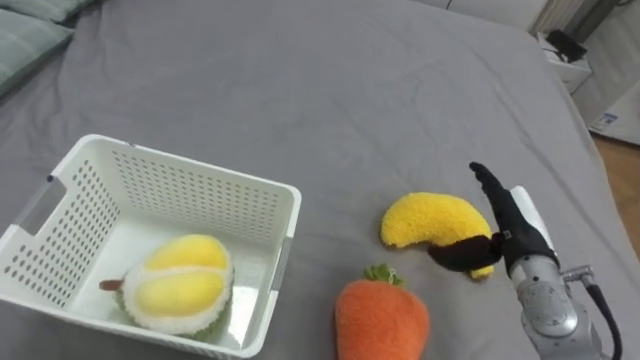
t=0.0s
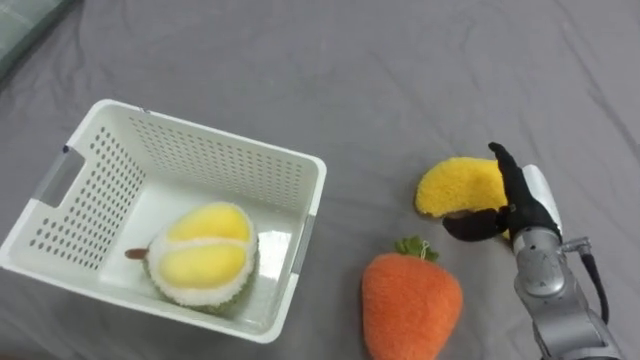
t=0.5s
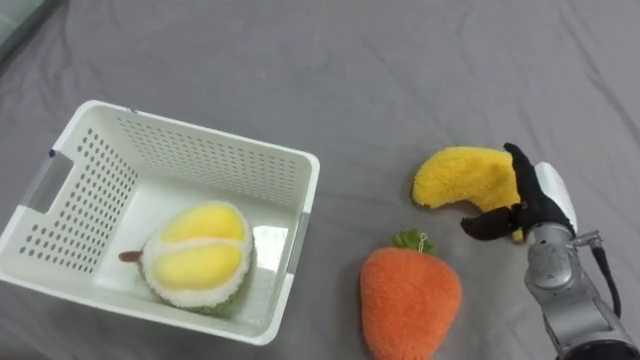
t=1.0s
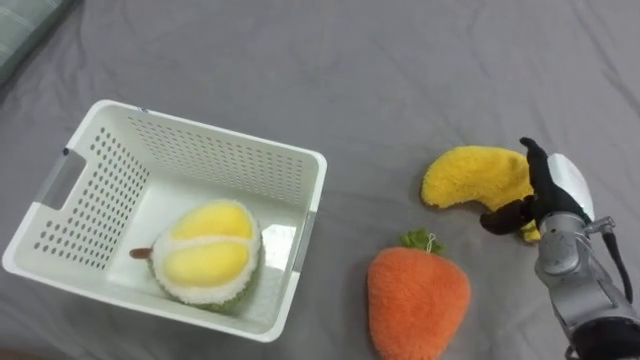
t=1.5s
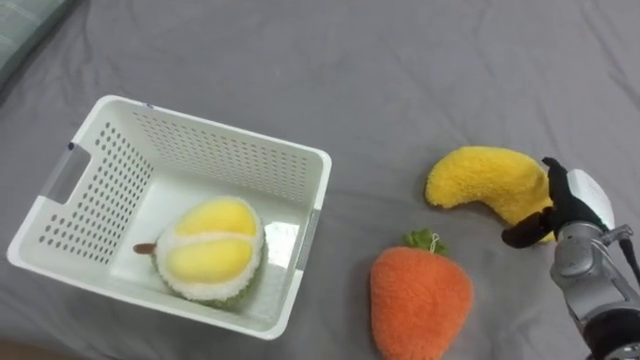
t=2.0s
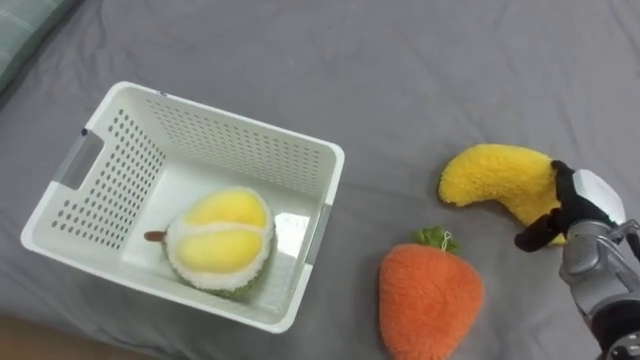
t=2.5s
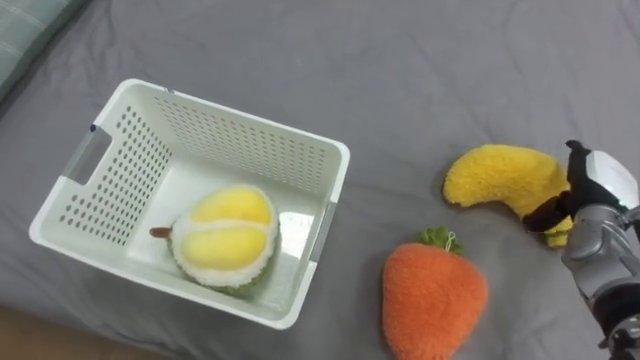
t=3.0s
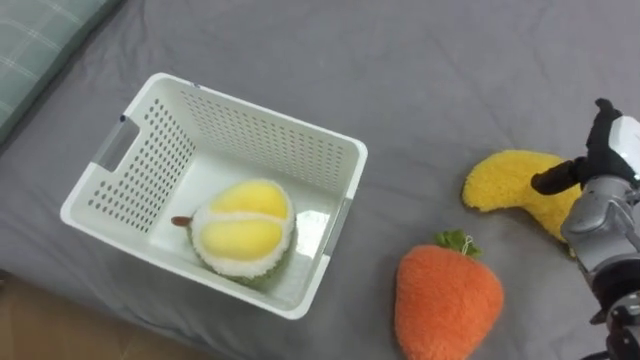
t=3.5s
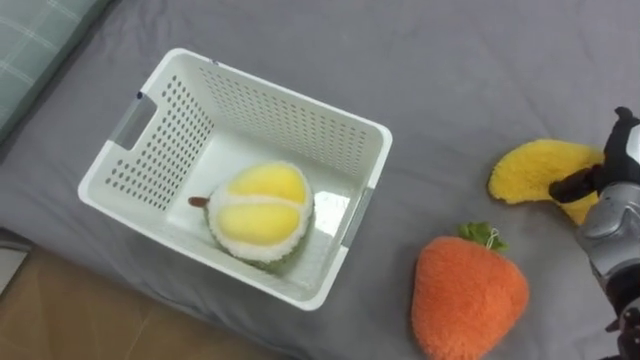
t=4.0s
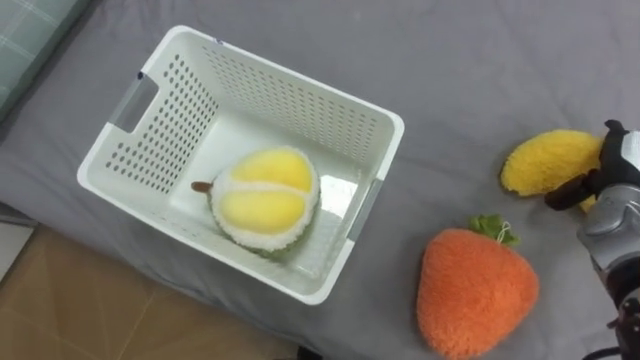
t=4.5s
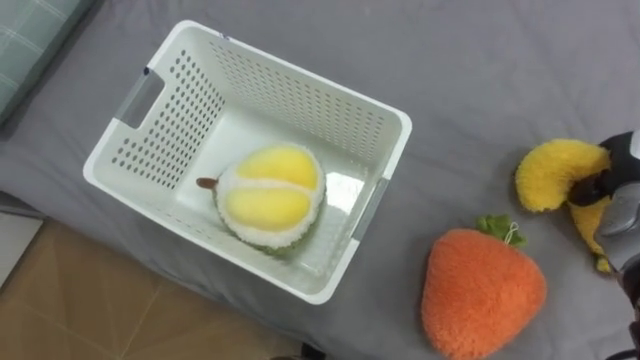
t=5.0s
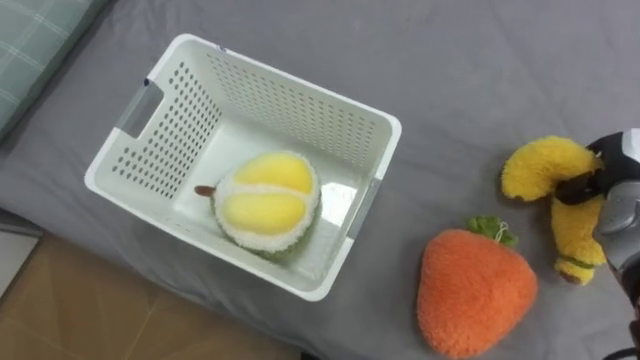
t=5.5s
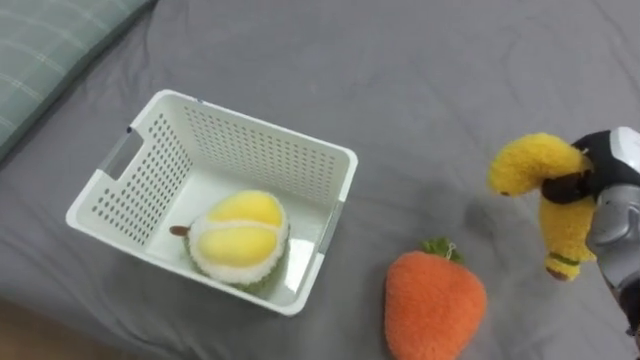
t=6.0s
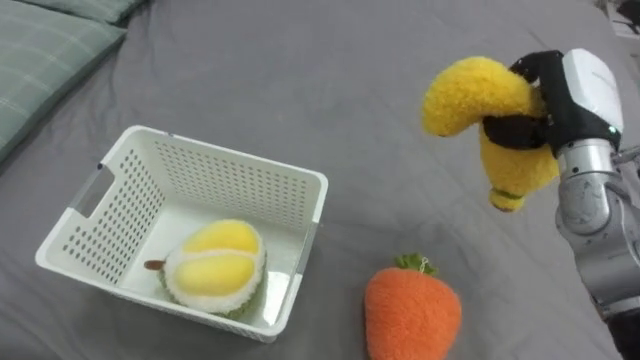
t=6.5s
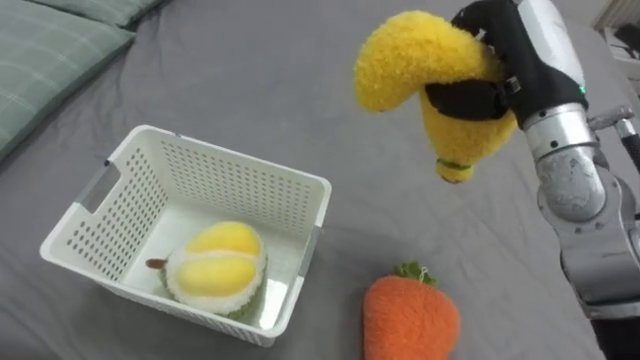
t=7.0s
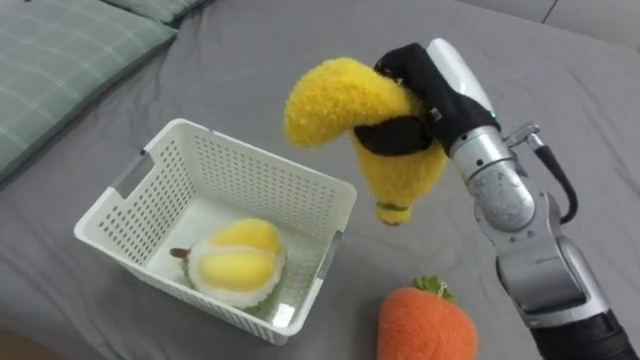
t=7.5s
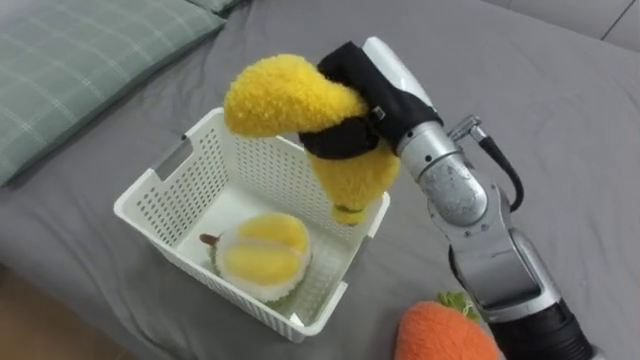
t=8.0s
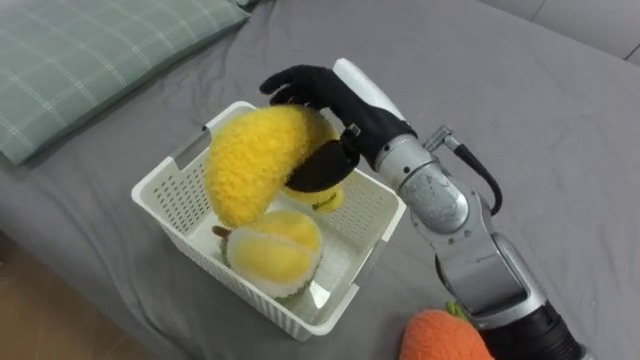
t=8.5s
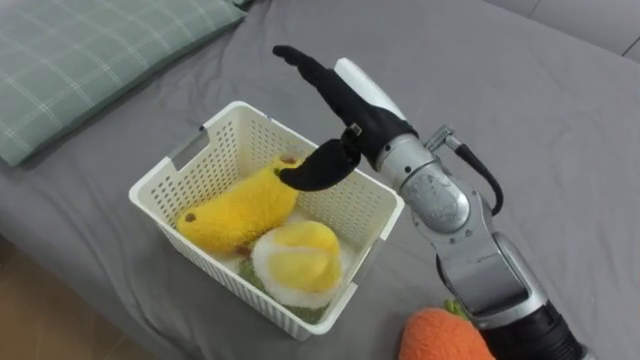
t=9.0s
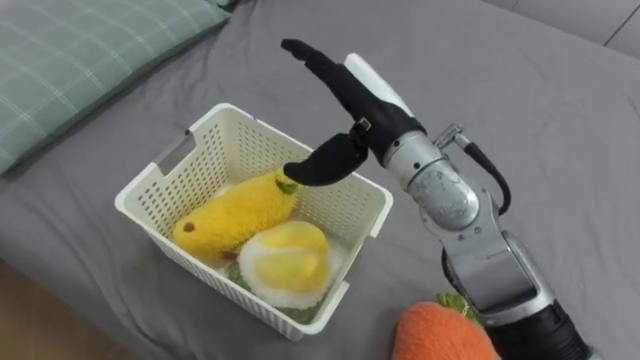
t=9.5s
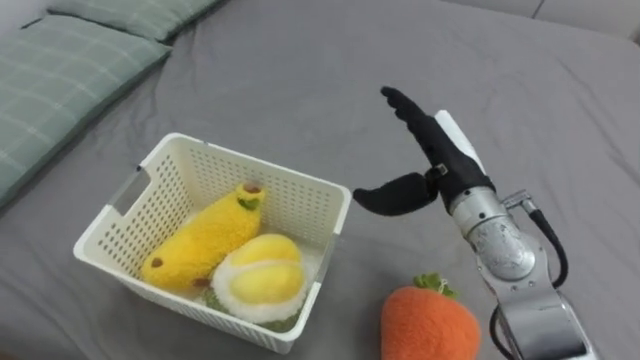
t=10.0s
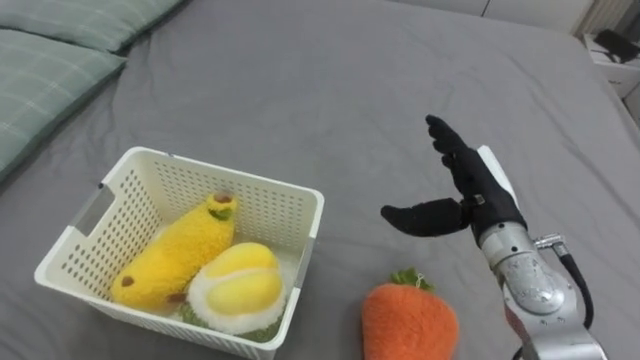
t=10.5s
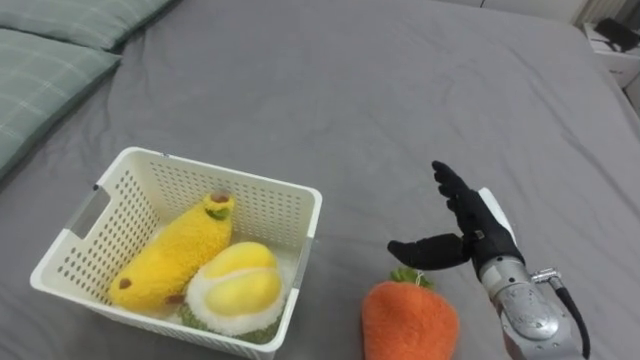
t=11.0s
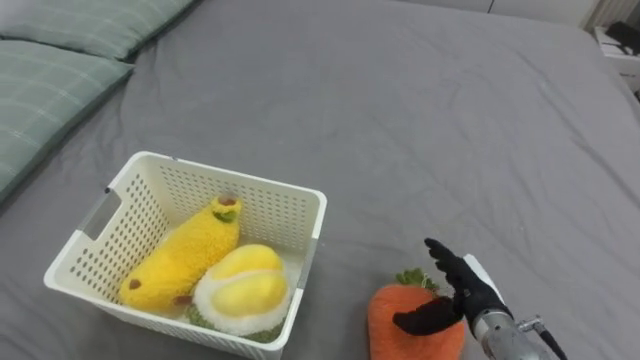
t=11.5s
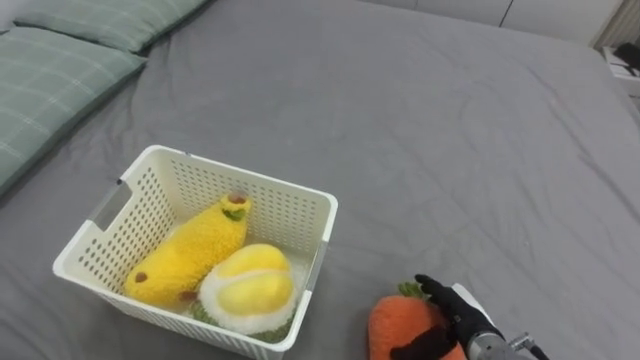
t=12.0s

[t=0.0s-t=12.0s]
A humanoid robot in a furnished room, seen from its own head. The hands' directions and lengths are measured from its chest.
Task of the whole recording: Put the toys on the bed into the basket on the left.
t=0.0s to t=2.0s: The right hand shifts roughly 10 cm to the right.
t=2.0s to t=4.0s: The right hand shifts approximately 5 cm upward.
t=4.0s to t=6.0s: The right hand closes its fingers.
t=6.0s to t=8.0s: The right hand heads to the left and upward, covering about 35 cm.
t=8.0s to t=10.0s: The right hand moves downward and to the right, roughly 10 cm, and opens up.
t=10.0s to t=12.0s: The right hand is displaced downward and backward by some 25 cm.

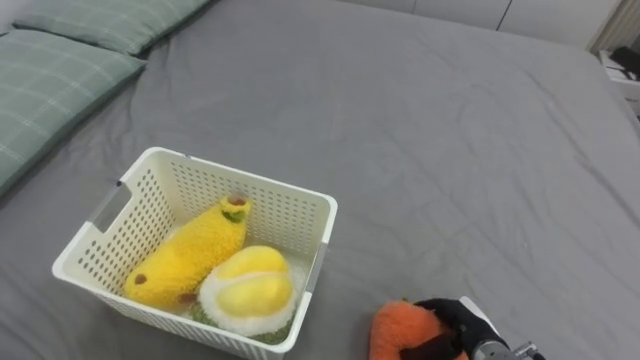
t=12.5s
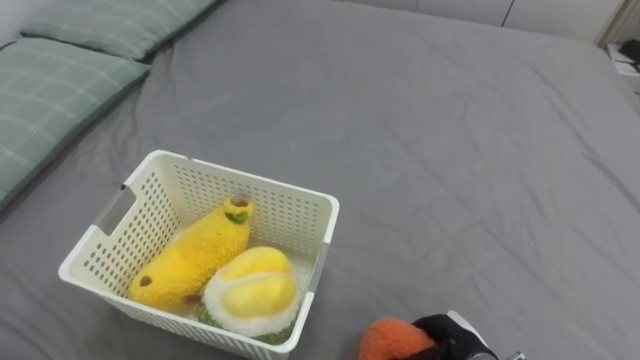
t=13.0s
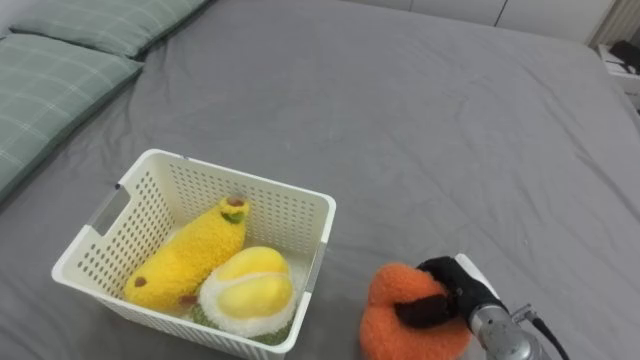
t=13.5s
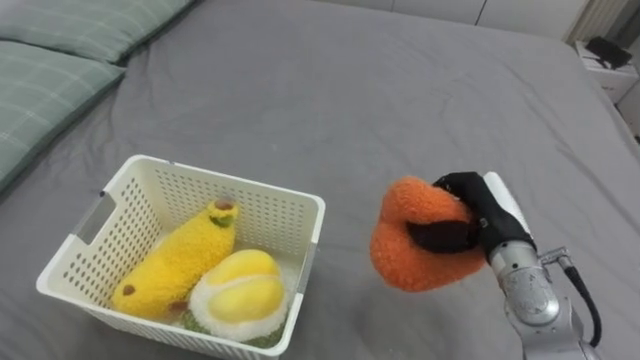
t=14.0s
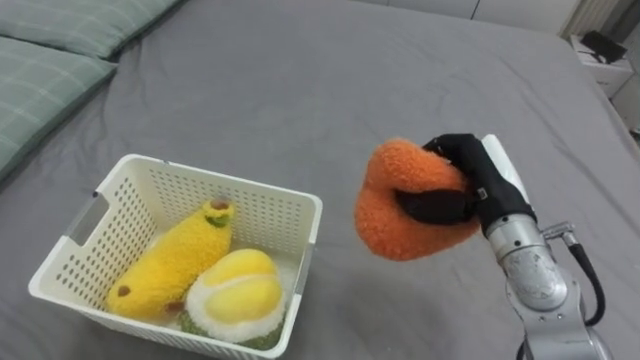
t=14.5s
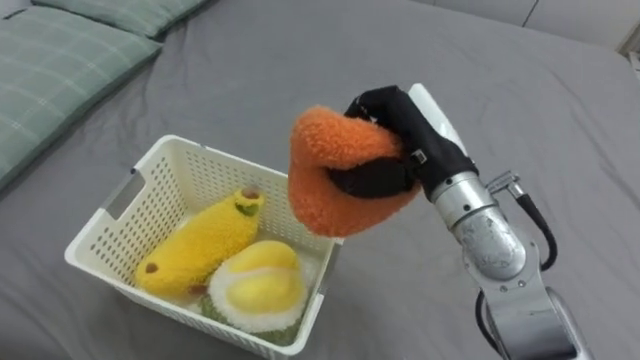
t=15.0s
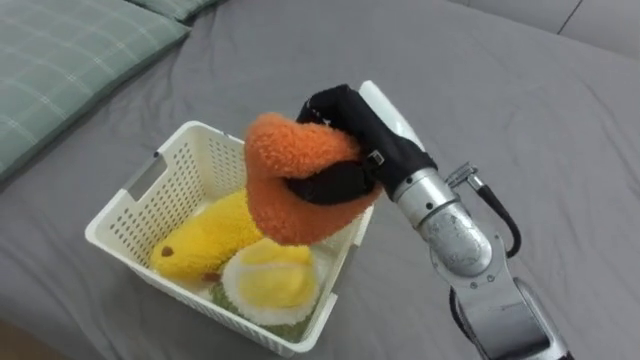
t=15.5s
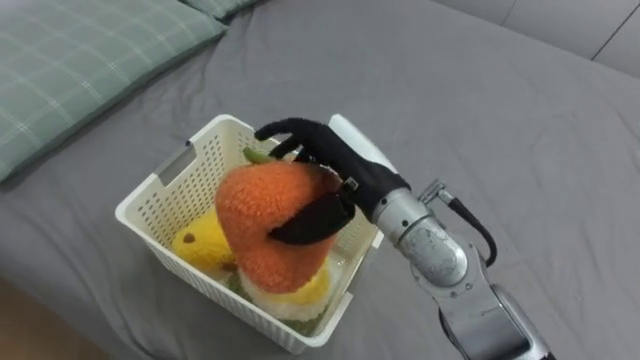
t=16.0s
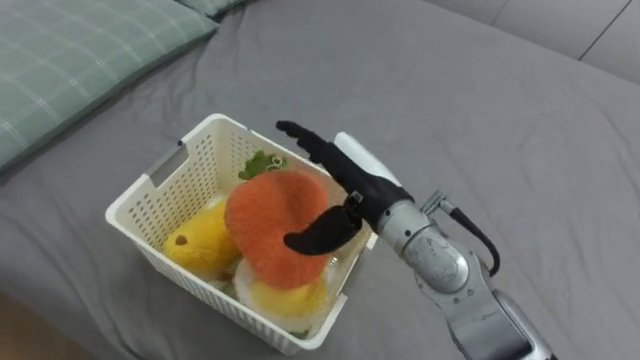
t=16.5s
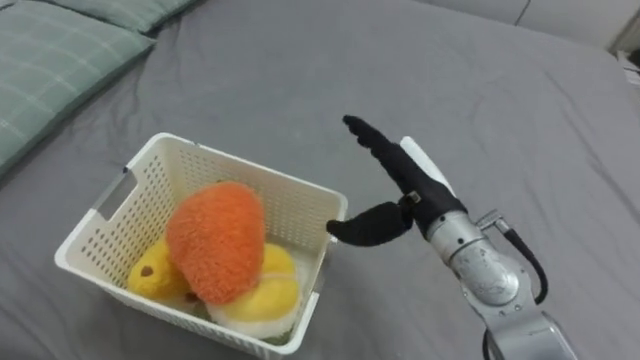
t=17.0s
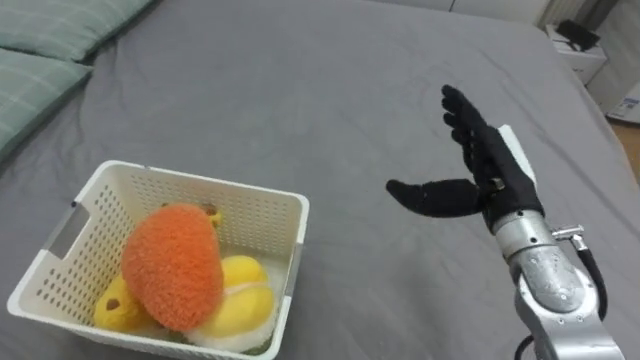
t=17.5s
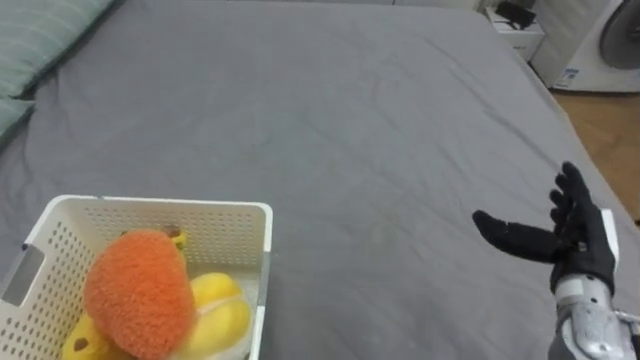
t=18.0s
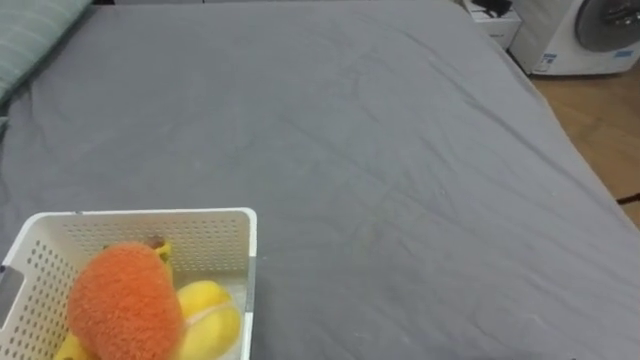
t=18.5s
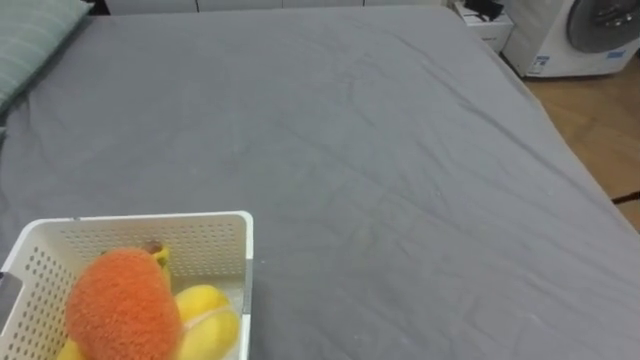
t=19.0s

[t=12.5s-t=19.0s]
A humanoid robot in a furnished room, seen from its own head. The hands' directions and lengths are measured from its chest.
Task of the whole recording: Put the toys on the bed into the basket on the left.
t=12.5s to t=14.5s: The right hand heads upward and forward, covering some 25 cm, and closes.
t=14.5s to t=17.0s: The right hand travels to the left by approximately 10 cm, and opens its fingers.

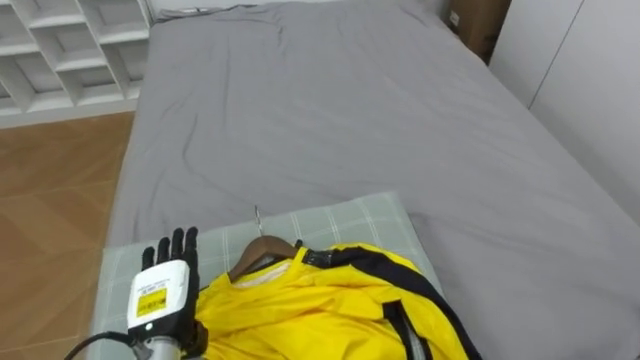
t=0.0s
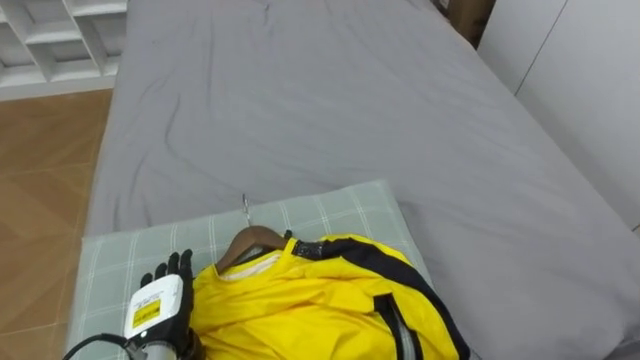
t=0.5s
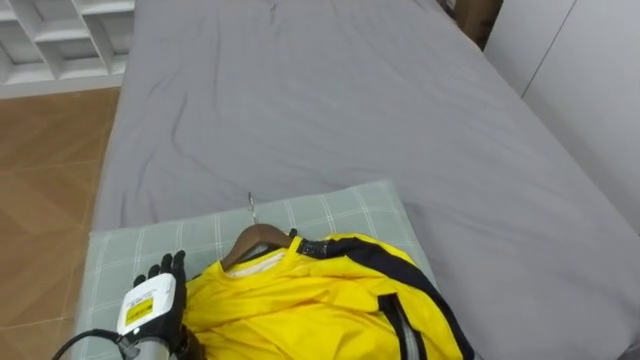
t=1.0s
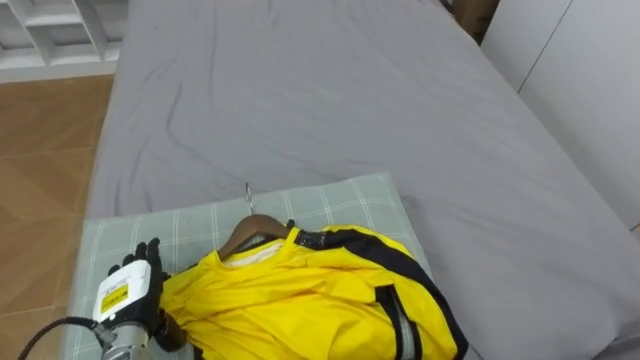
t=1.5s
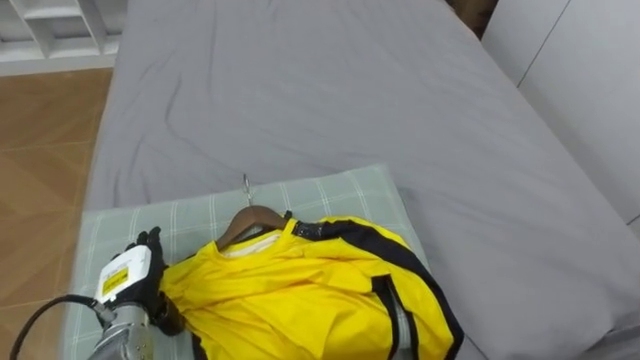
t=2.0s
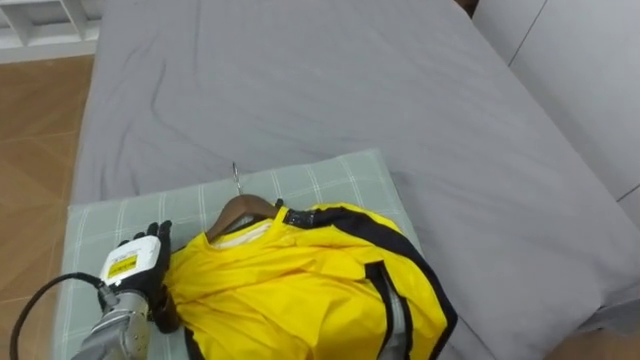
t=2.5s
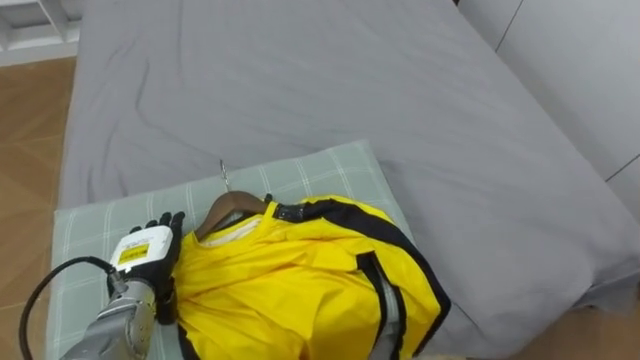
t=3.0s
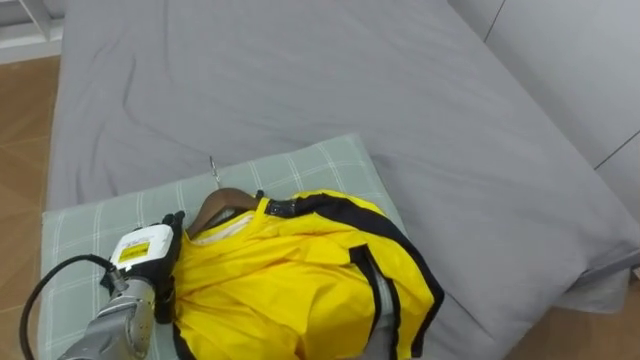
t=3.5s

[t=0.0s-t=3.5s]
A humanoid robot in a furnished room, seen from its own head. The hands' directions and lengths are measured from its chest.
Task of the whole recording: Pick up the yellow shirt on the bed and hang it on the clothes rack on the right.
t=0.0s to t=2.0s: The left hand goes roughly 5 cm to the left.
